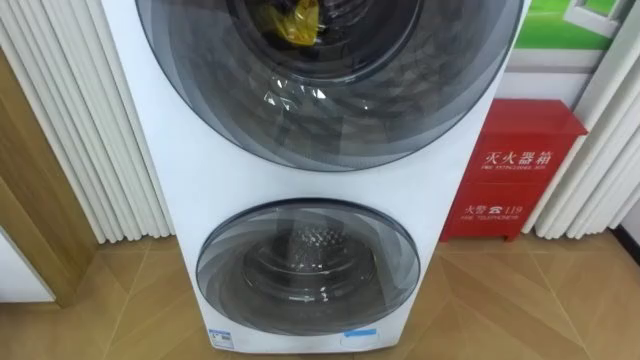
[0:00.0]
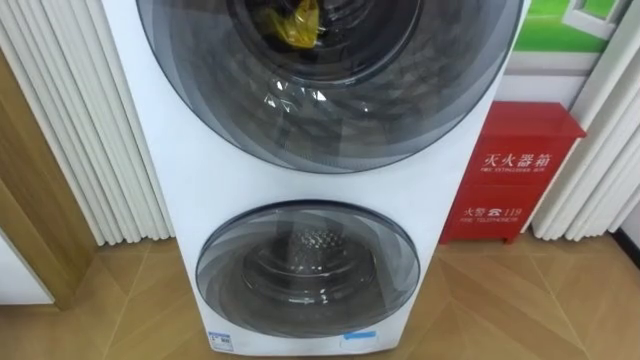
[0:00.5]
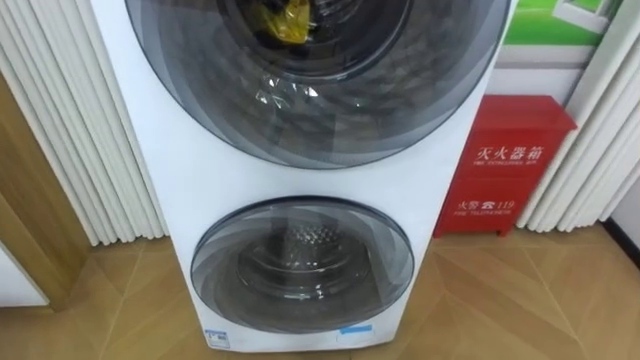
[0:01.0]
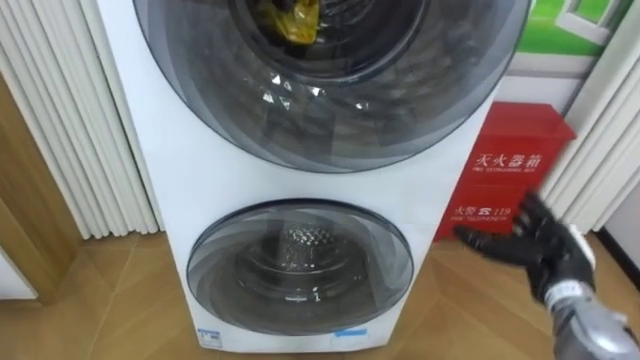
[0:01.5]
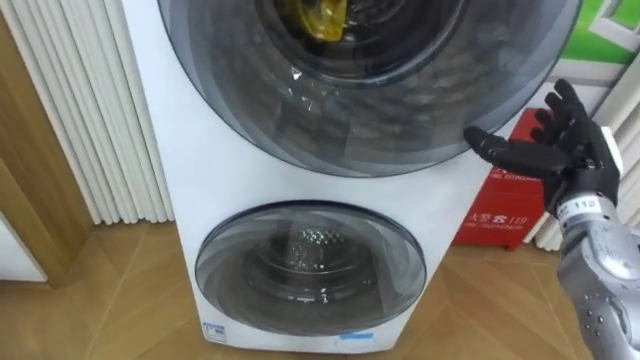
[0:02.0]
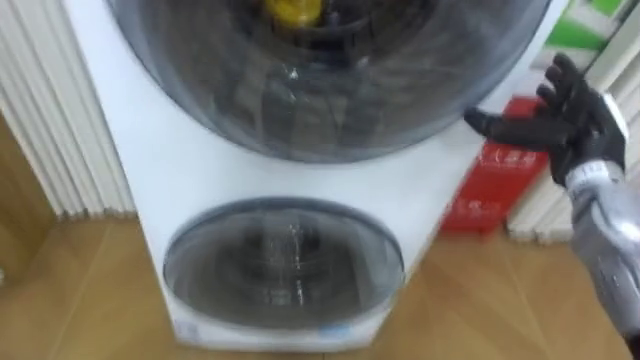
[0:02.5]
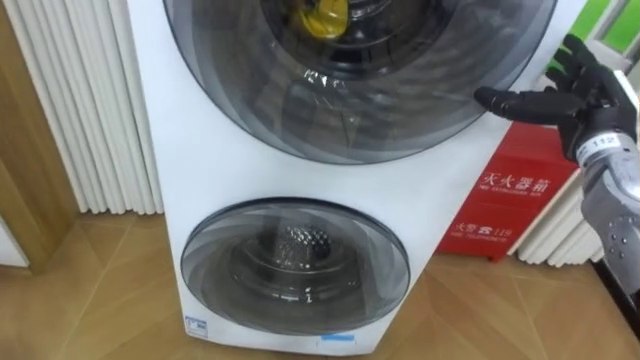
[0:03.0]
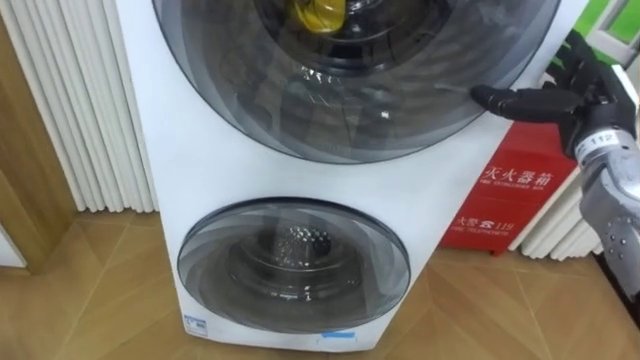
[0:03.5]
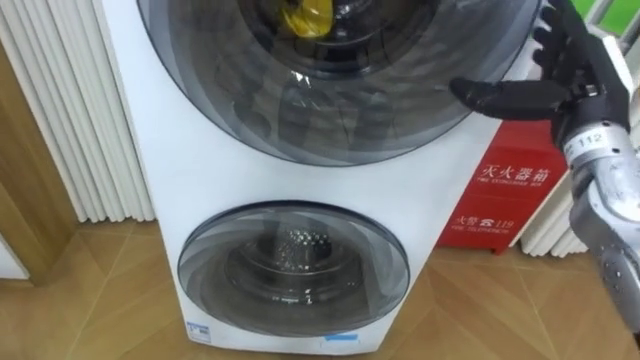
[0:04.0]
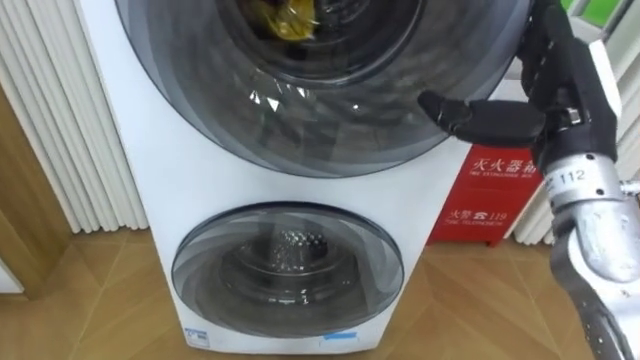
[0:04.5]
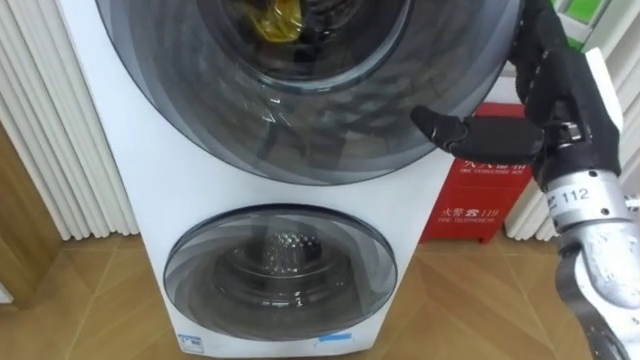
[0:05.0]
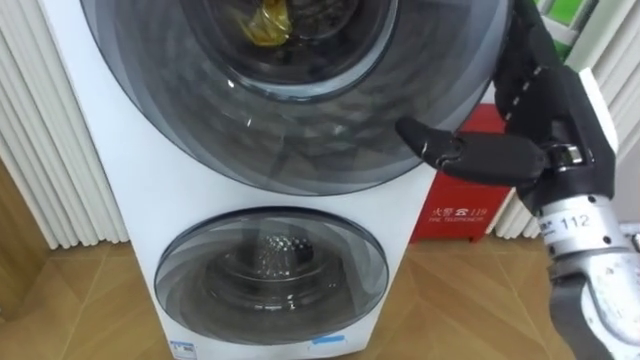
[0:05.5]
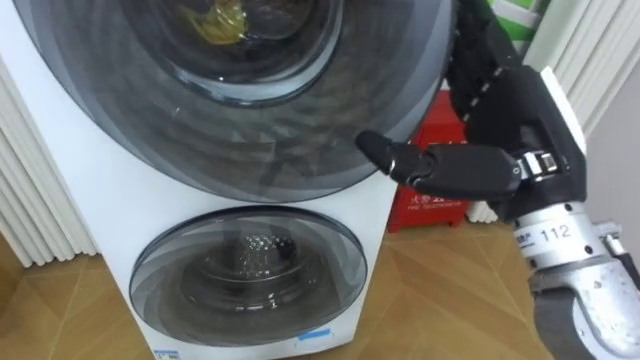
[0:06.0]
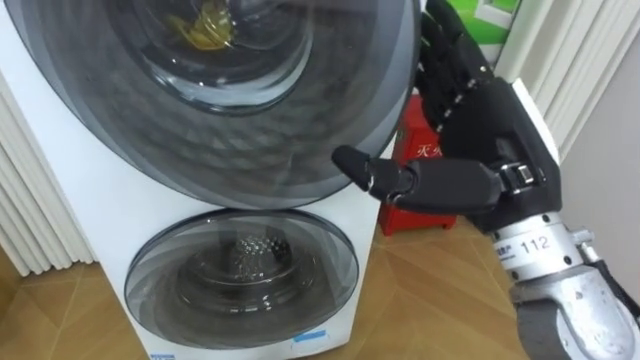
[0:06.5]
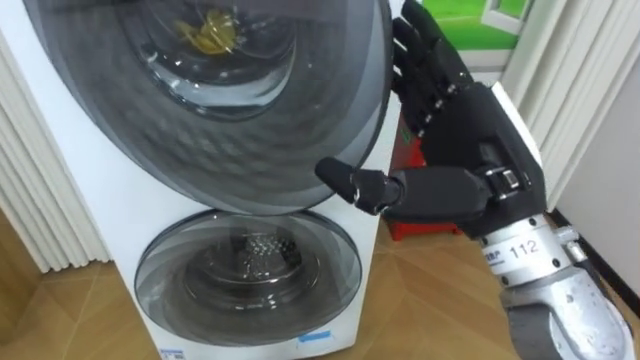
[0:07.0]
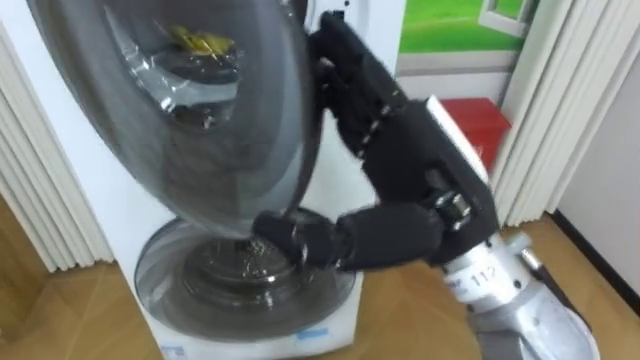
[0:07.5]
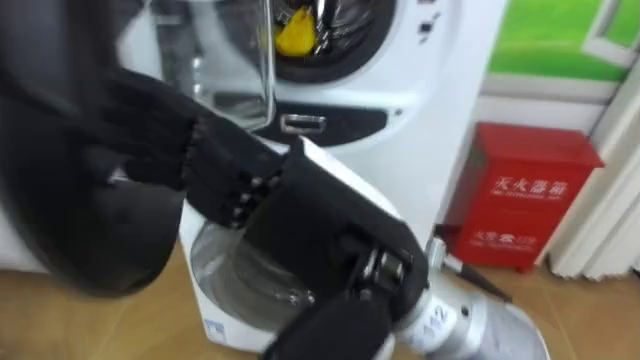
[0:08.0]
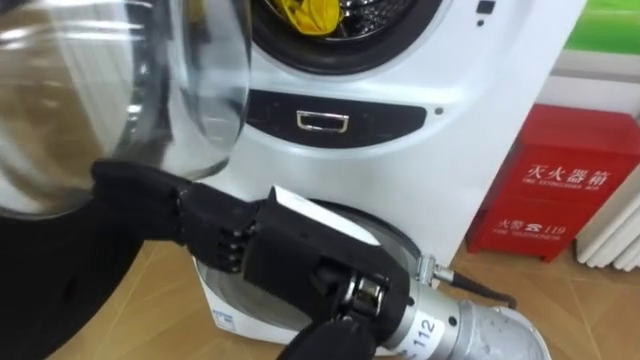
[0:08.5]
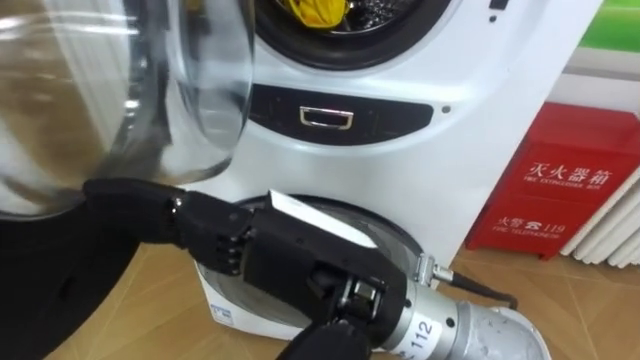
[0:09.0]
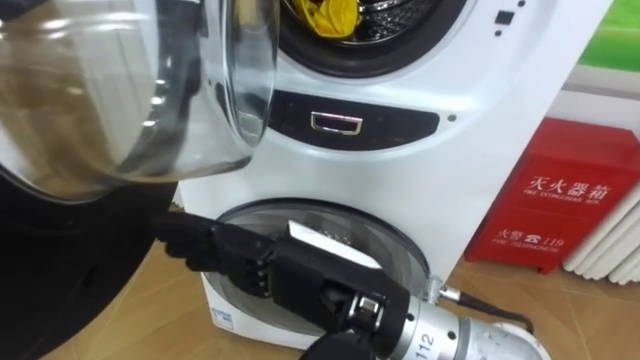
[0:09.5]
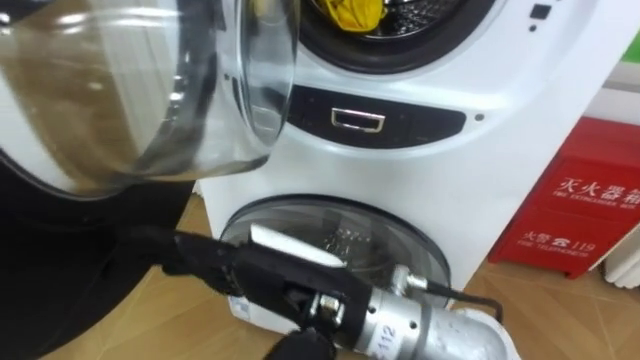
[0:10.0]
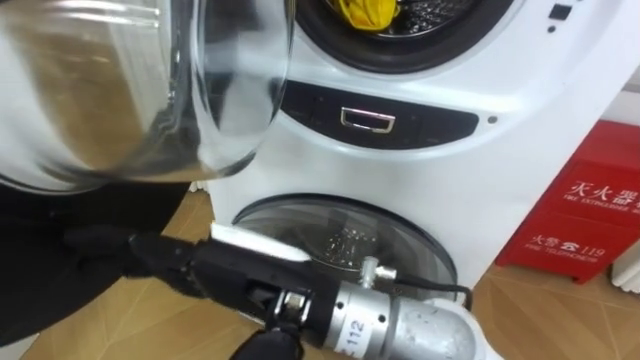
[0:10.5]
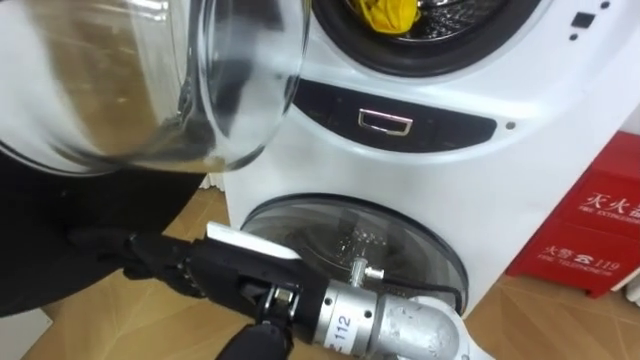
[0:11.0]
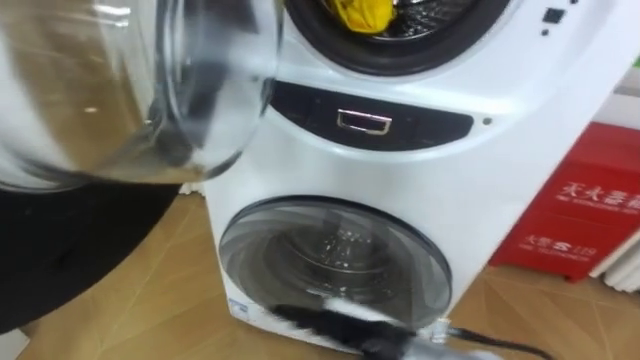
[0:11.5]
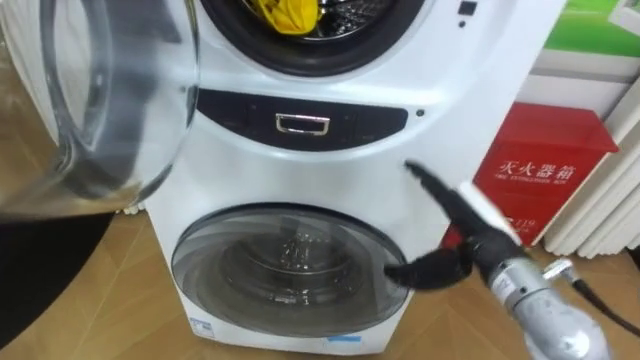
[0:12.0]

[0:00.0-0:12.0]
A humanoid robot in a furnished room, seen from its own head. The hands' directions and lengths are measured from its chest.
Task of the whole recording: Open the washing machine door, take out the yellow clothes, place them in the box on the right, and close the washing machine door.
0:02.0 to 0:04.0: The right hand goes roughly 10 cm upward.
0:04.0 to 0:06.0: The right hand heads backward and to the left, covering roughly 15 cm.
0:06.0 to 0:08.0: The right hand heads to the left and backward, covering some 15 cm.
0:08.0 to 0:10.0: The right hand travels downward by some 10 cm.
0:10.0 to 0:12.0: The right hand heads to the right, forward and downward, covering approximately 25 cm.

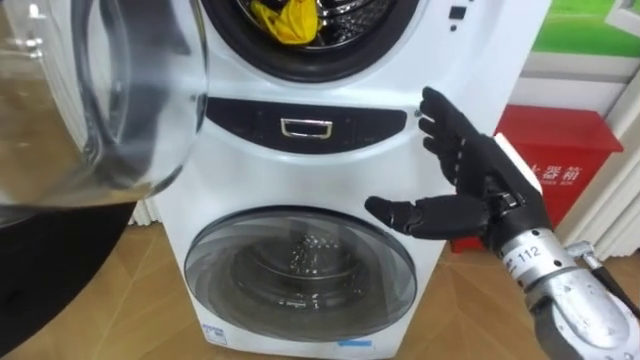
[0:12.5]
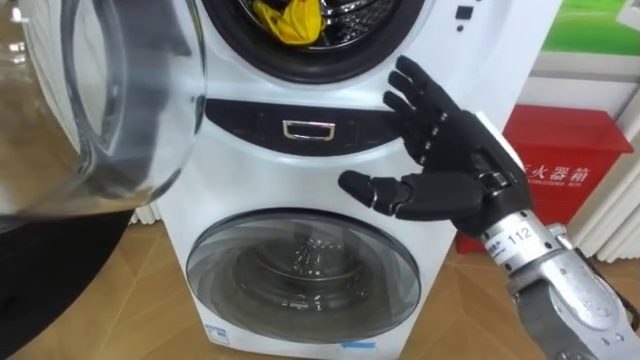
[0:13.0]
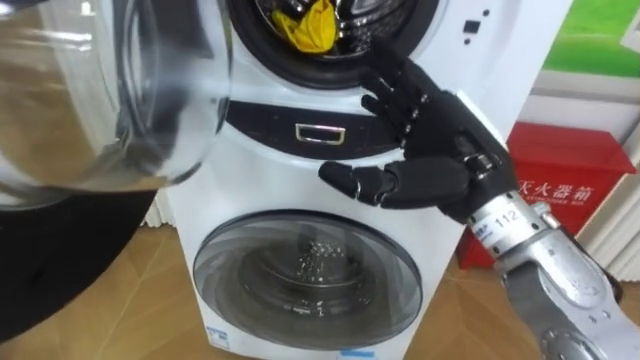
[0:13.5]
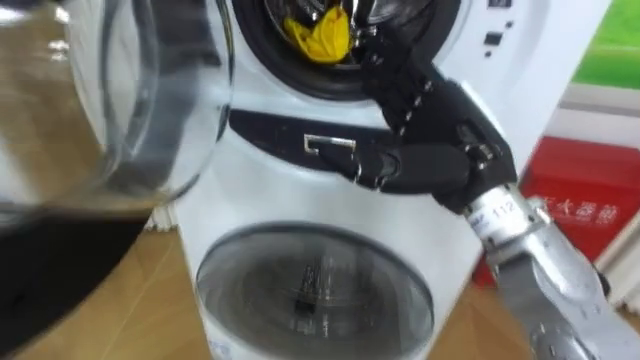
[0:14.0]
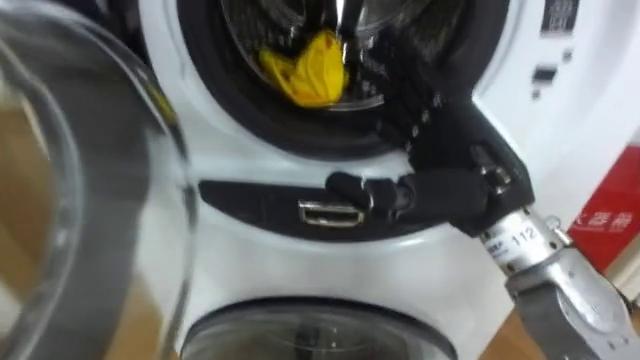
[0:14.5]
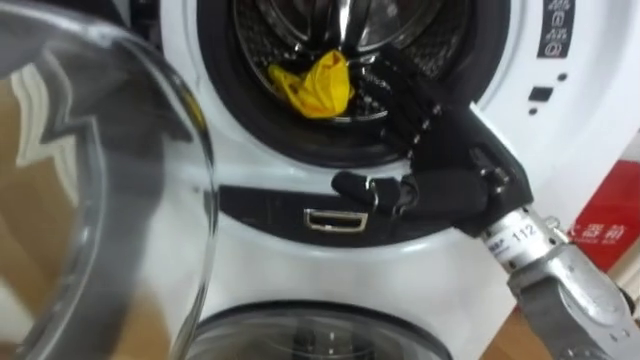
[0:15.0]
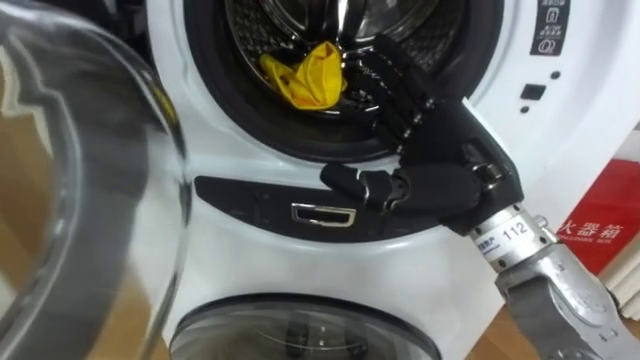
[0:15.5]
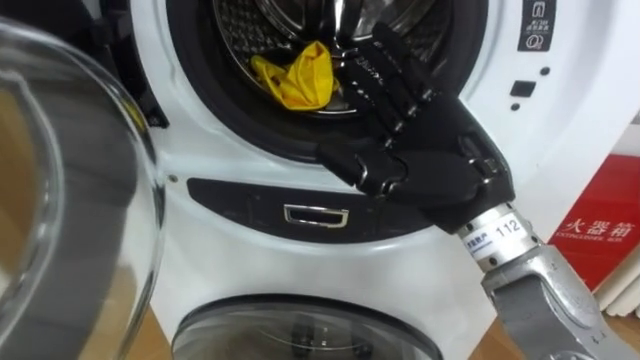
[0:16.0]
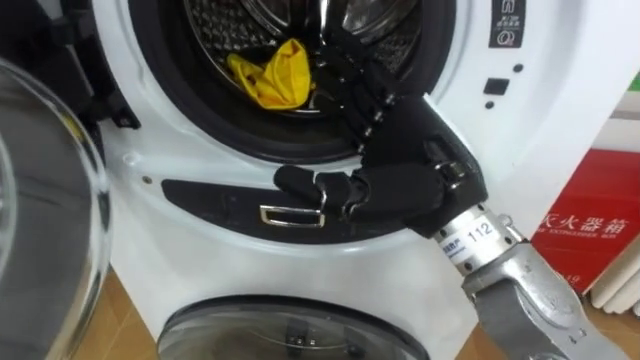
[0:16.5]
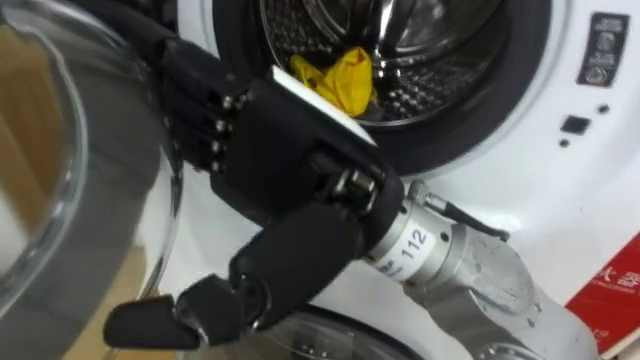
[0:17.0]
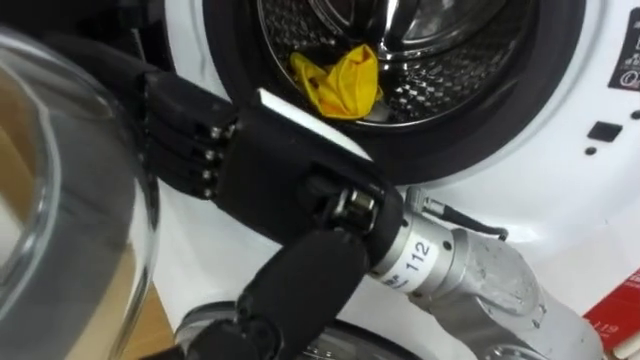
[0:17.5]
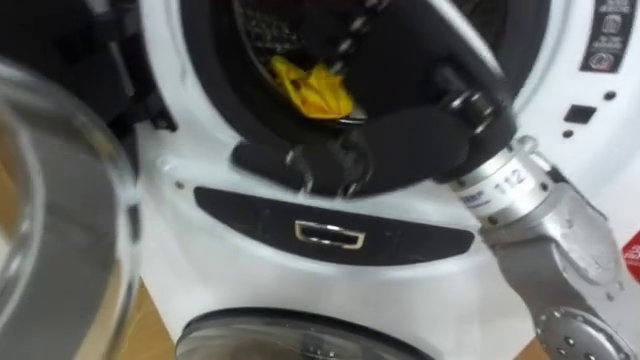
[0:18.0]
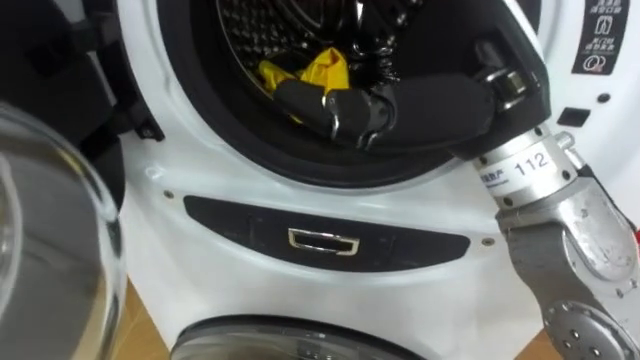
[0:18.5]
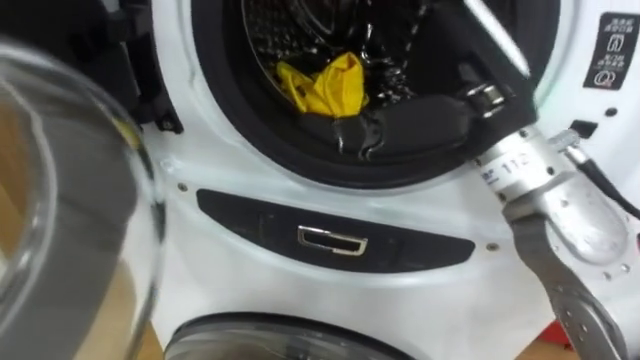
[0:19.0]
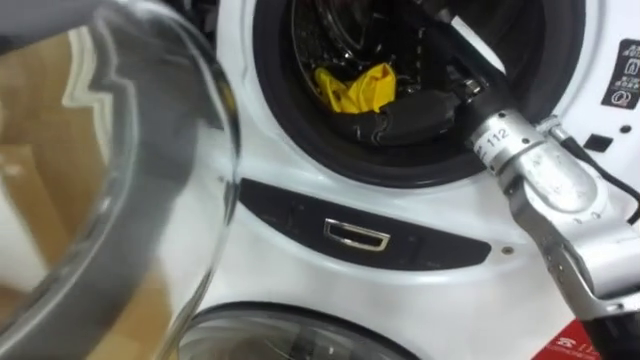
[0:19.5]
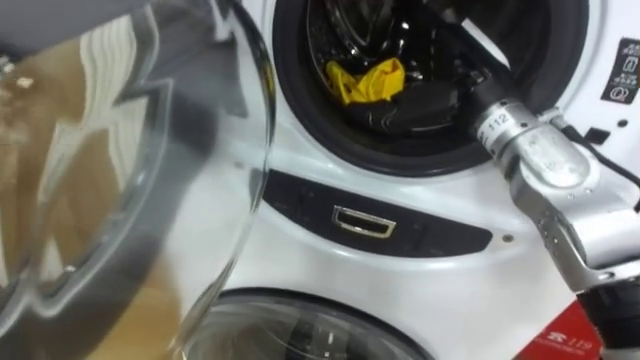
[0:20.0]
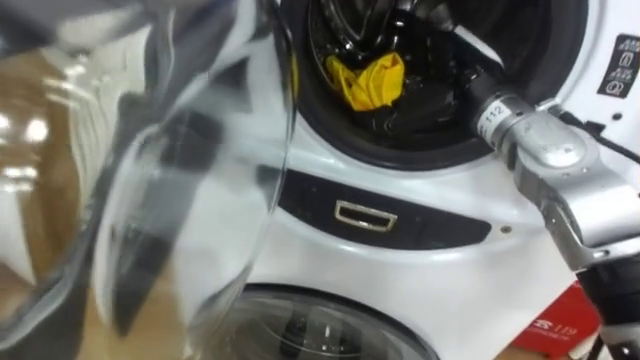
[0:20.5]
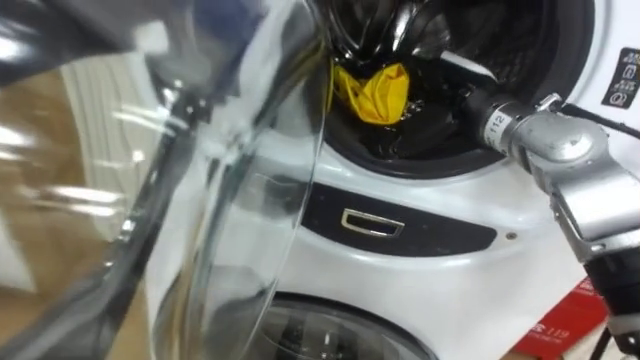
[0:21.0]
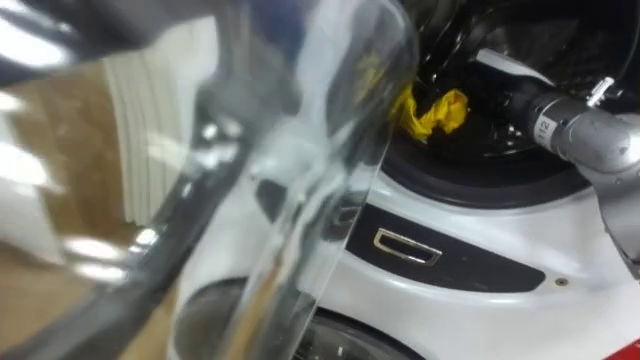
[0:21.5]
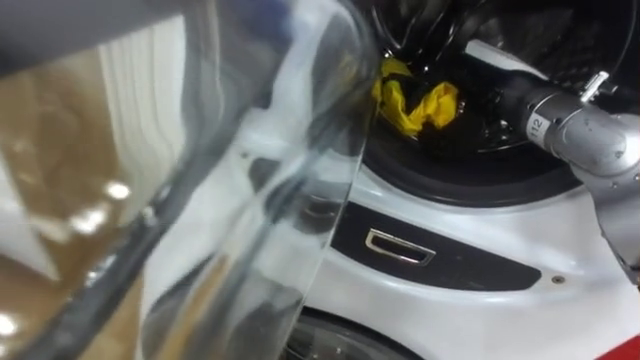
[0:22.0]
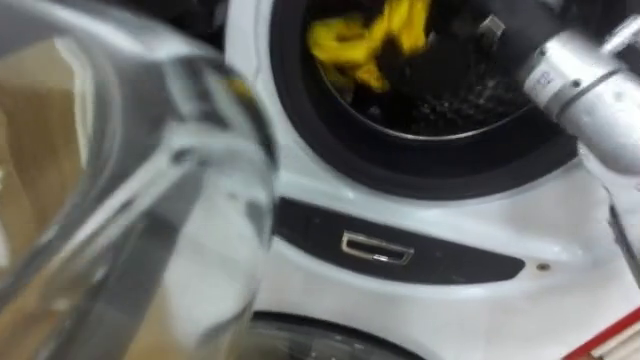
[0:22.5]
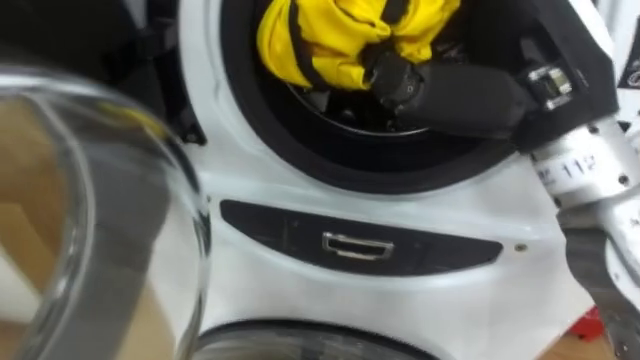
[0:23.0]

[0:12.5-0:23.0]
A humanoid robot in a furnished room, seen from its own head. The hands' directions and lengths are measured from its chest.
Task of the whole recording: Open the washing machine door, take out the yellow clothes, place them in the box on the right, and close the washing machine door.
0:12.5 to 0:14.5: The right hand shifts about 5 cm upward.
0:16.5 to 0:19.0: The right hand goes about 5 cm upward, and goes to the left and returns, some 10 cm each way.
0:19.0 to 0:21.0: The right hand is displaced forward and downward by about 15 cm.
